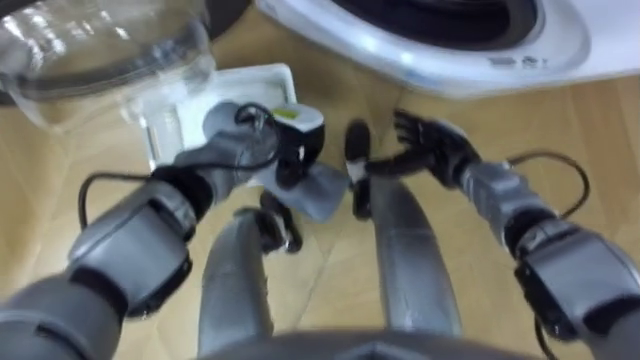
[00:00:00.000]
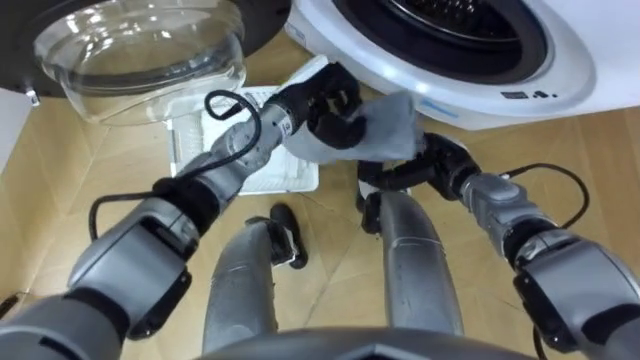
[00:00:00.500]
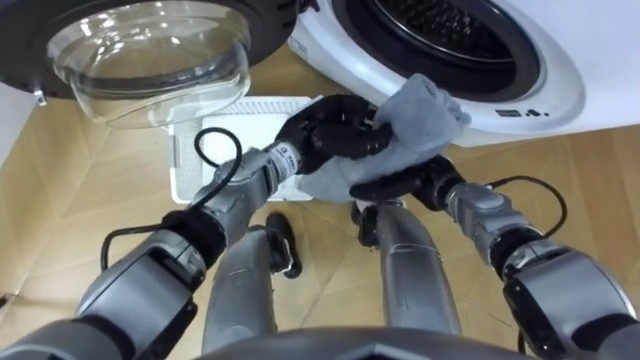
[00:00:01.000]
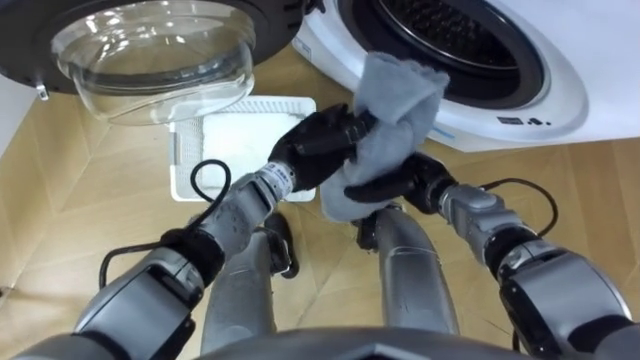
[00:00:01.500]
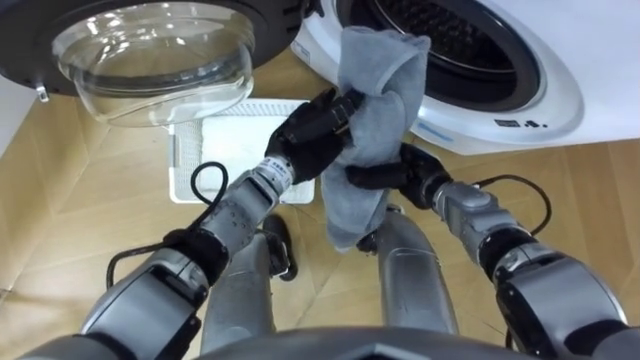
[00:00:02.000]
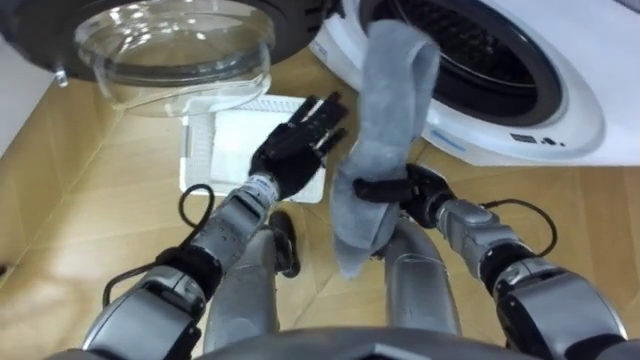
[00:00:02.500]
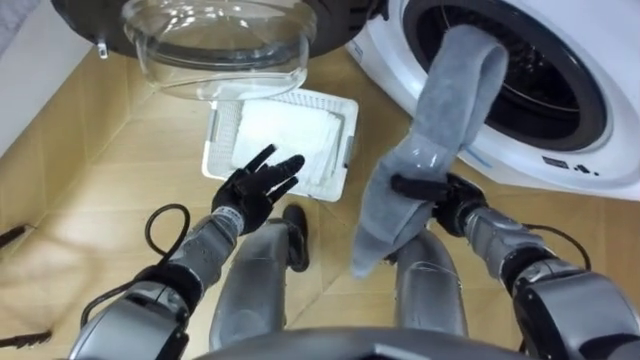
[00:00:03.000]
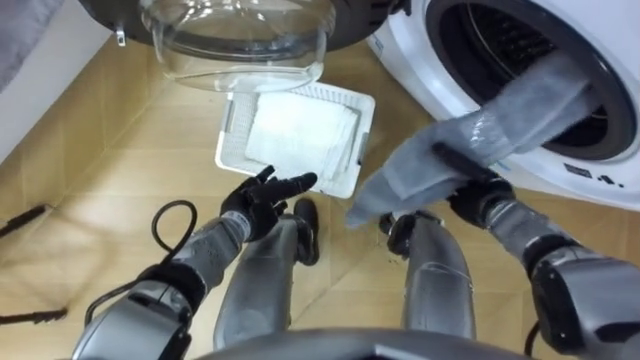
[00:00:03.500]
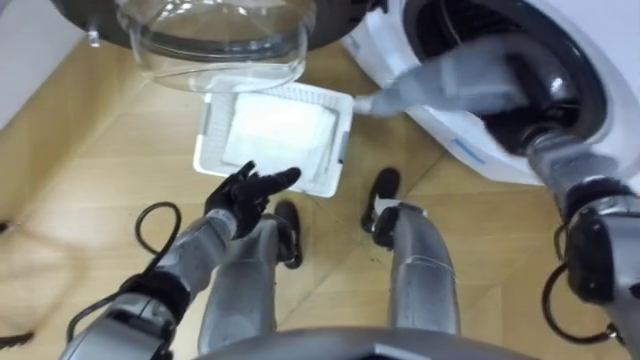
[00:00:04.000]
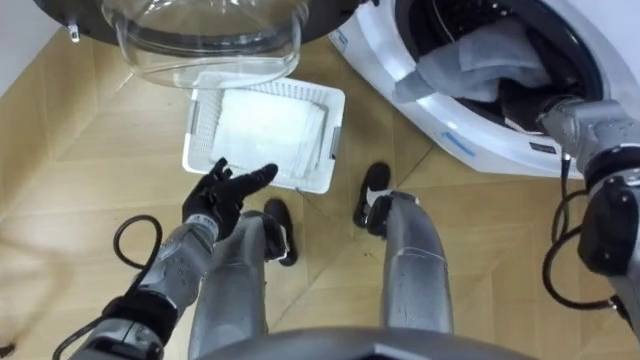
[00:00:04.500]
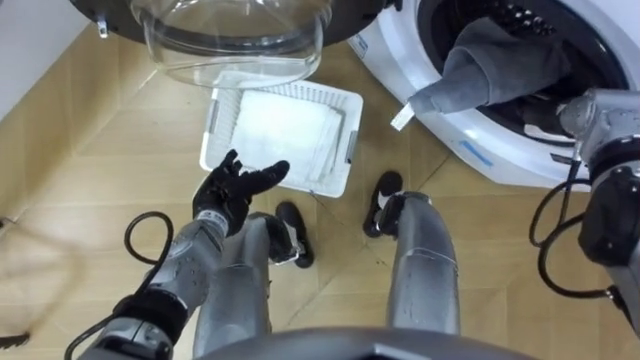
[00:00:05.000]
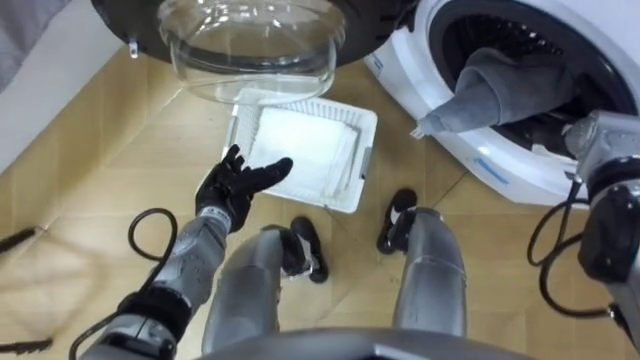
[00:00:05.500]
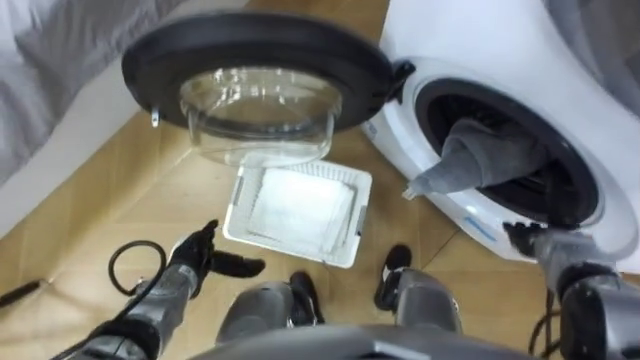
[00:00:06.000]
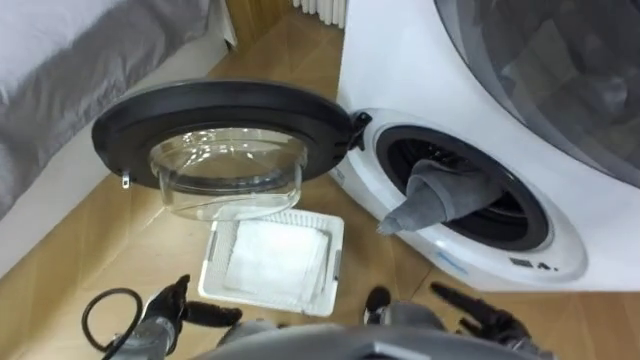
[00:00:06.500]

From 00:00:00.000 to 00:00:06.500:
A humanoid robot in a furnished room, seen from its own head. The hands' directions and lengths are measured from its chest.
Task of the whole recording: Take the towel from the basket and put it into the washing machine.
From 00:00:00.000 to 00:00:02.000: The right hand moves approximately 5 cm, and closes up.
From 00:00:02.000 to 00:00:04.500: The left hand shifts roughly 20 cm to the left, downward and backward, and opens, while the right hand is displaced to the right, upward and forward by roughly 20 cm.
From 00:00:04.500 to 00:00:06.500: The right hand is displaced backward and downward by roughly 35 cm, and opens up; the left hand heads backward, downward and to the left, covering about 20 cm.
